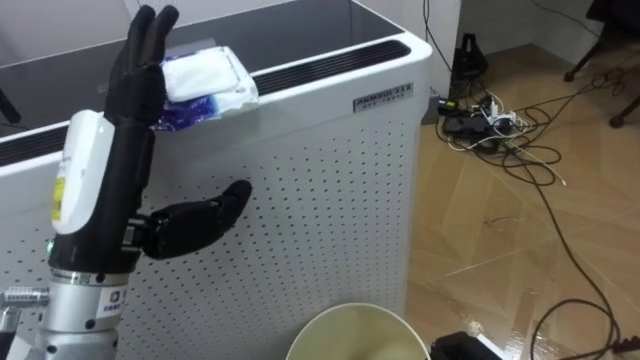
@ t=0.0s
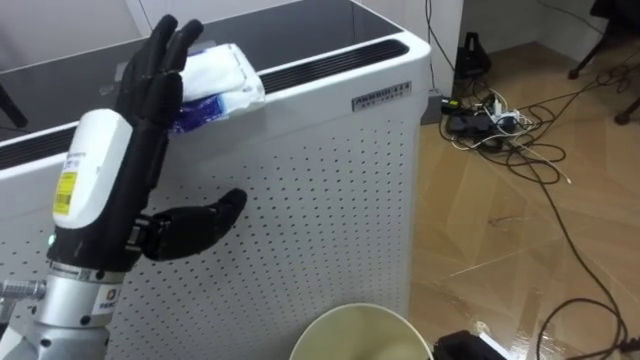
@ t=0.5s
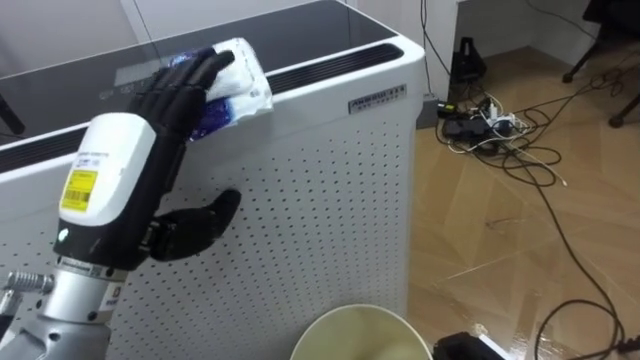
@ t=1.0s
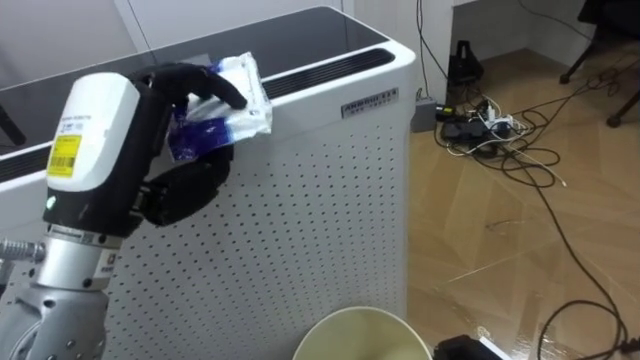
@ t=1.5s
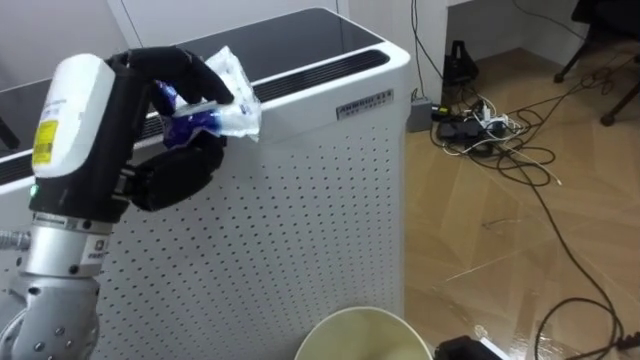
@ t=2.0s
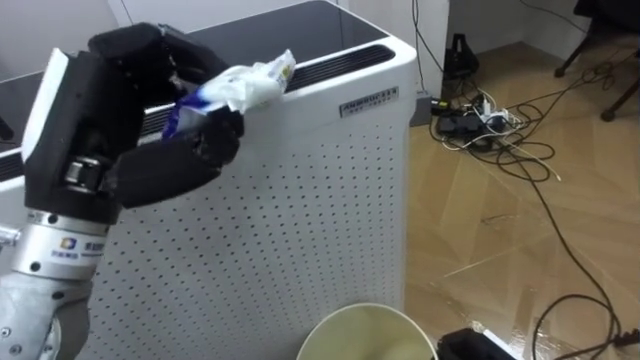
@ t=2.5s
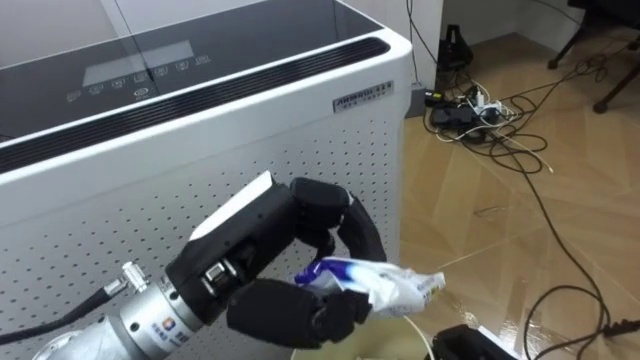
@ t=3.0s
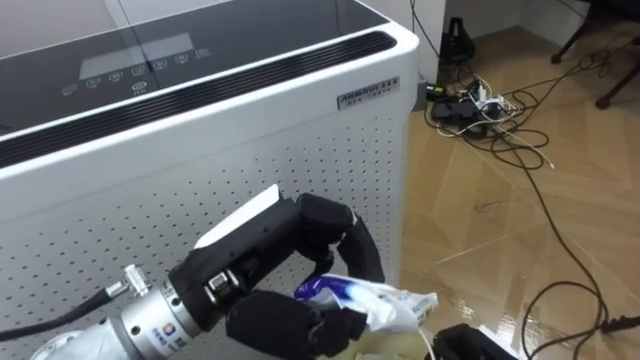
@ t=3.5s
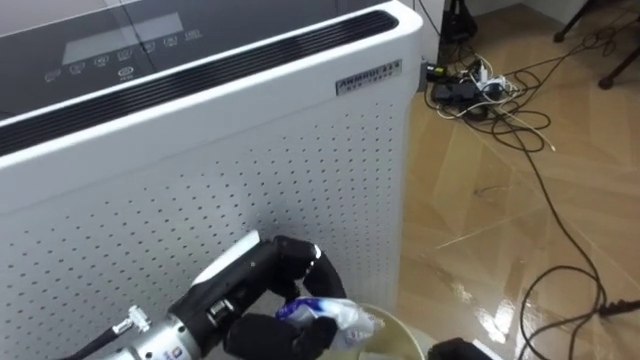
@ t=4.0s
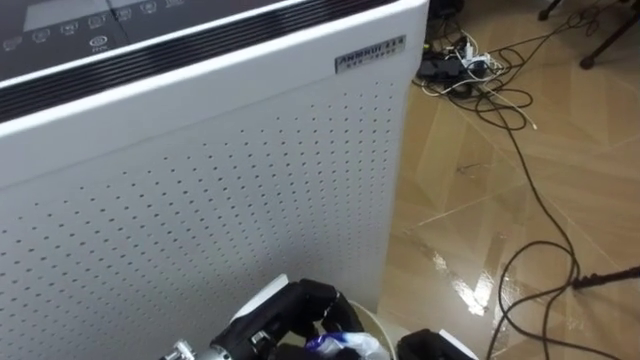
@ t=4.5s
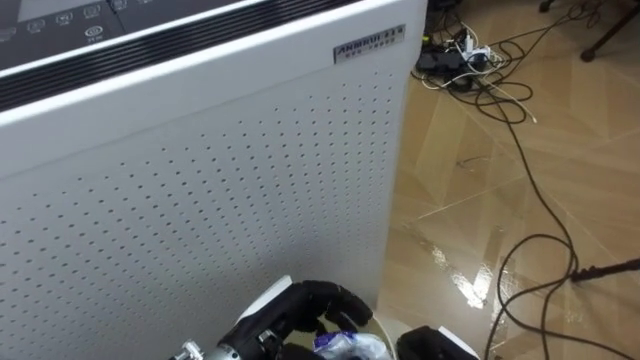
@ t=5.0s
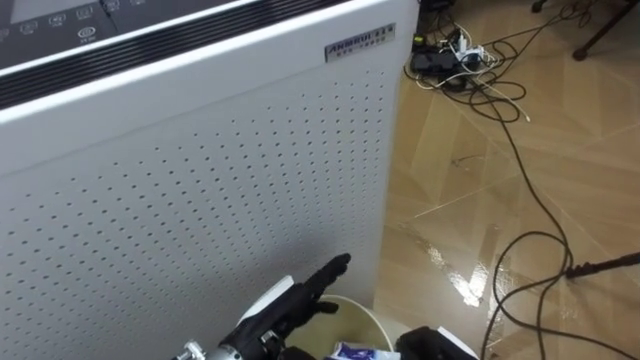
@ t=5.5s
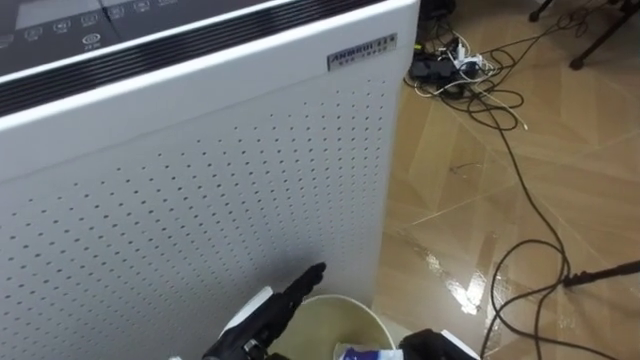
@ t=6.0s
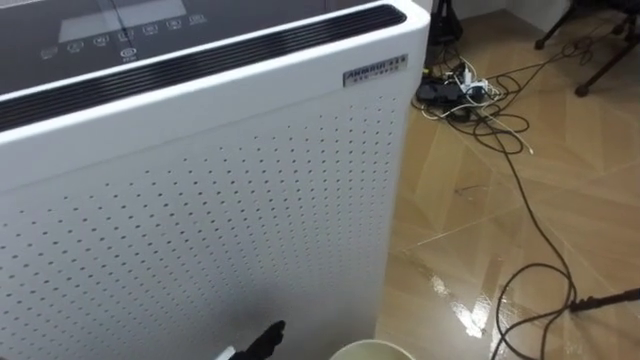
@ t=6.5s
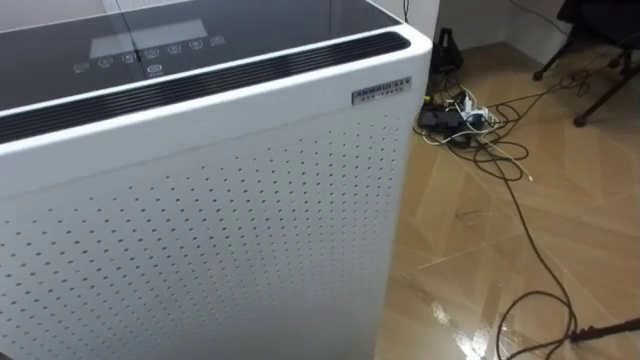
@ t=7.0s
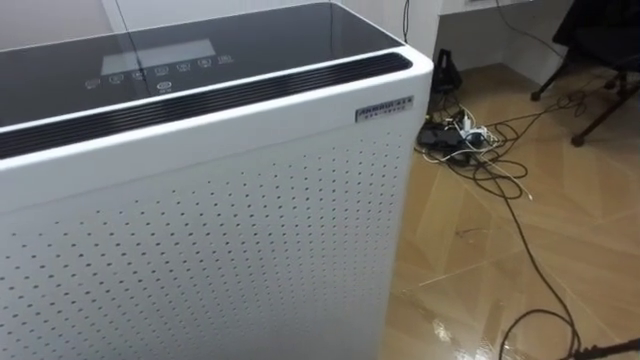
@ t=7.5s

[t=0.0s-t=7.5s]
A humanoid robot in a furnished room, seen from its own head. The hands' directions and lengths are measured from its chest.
Task of the whole recording: Pick up the light blue package, the candy box, and the dark blue package separately, and put them into the trash can held in your right hand.
t=0.0s to t=2.0s: The left hand closes its fingers.
t=2.0s to t=4.0s: The left hand is displaced downward and to the right by roughly 15 cm.
t=4.0s to t=5.5s: The left hand travels downward by about 10 cm, and opens up.

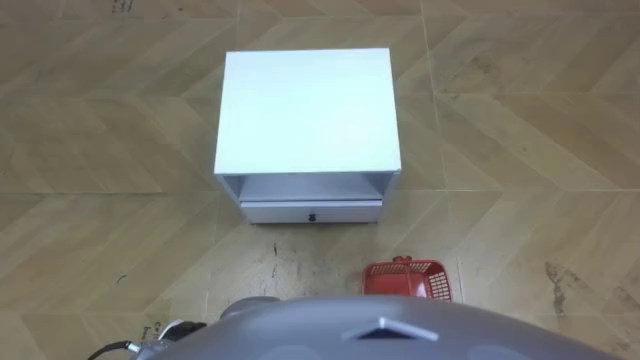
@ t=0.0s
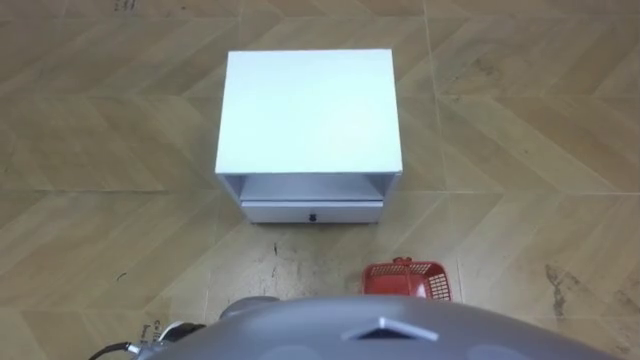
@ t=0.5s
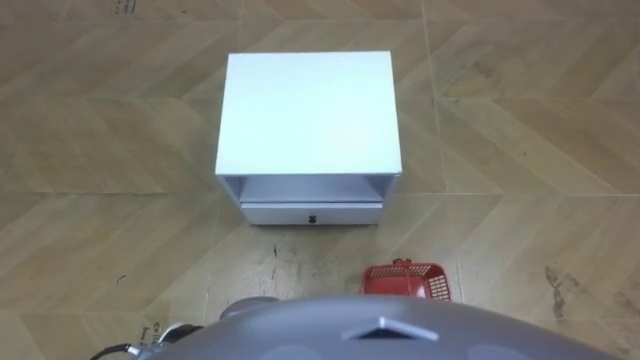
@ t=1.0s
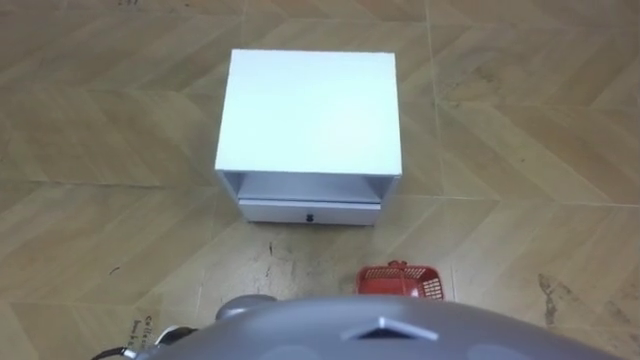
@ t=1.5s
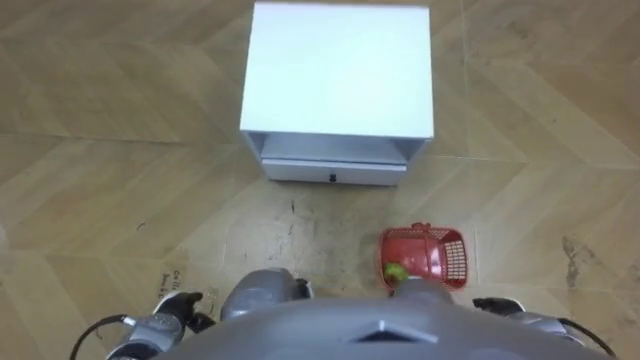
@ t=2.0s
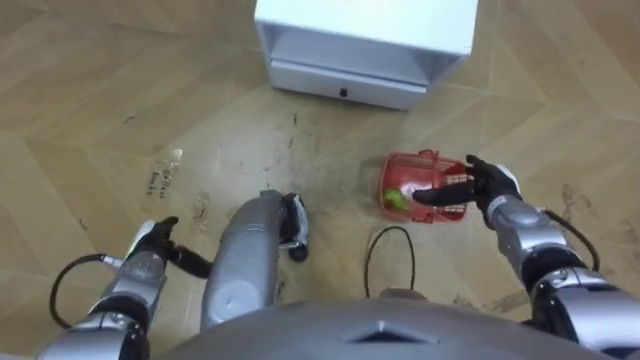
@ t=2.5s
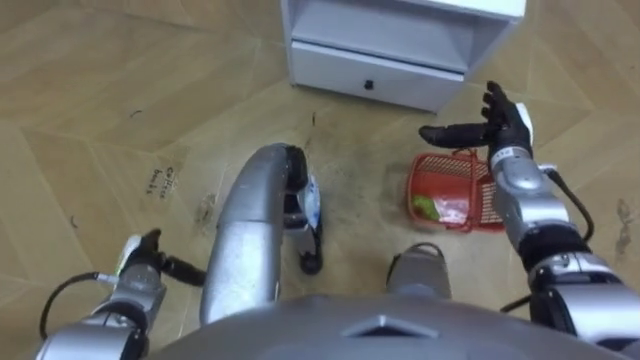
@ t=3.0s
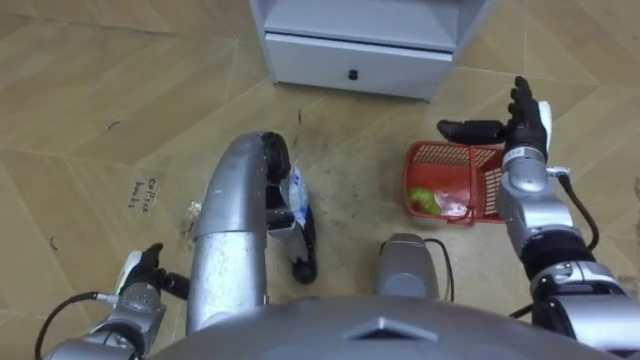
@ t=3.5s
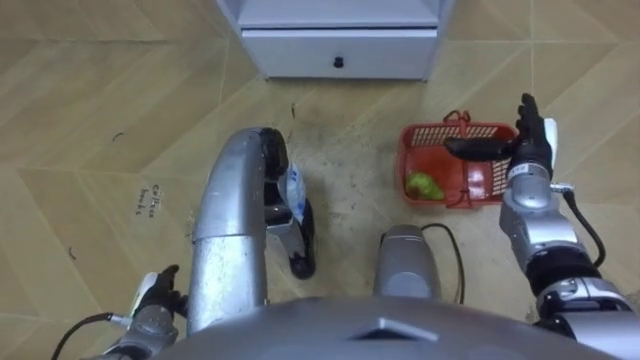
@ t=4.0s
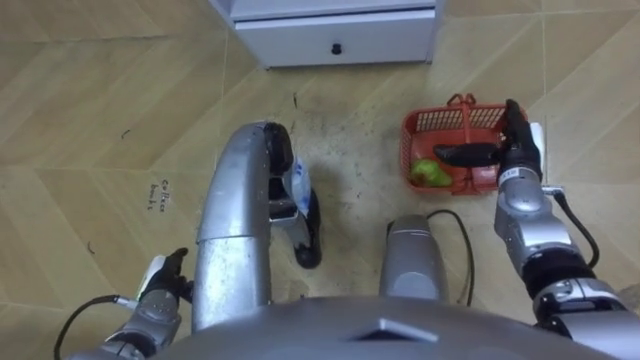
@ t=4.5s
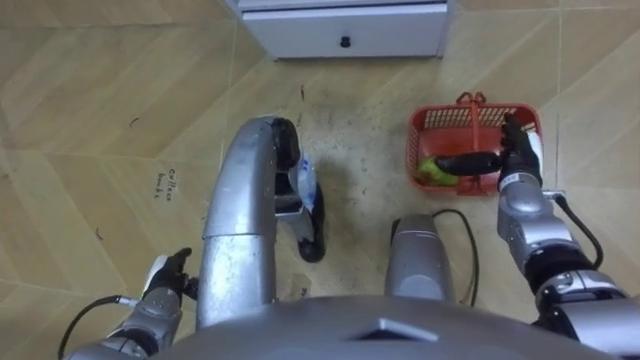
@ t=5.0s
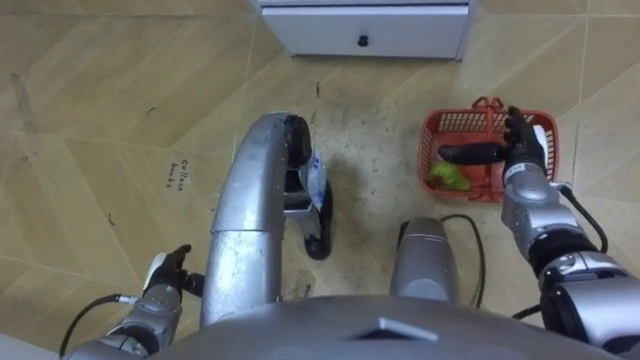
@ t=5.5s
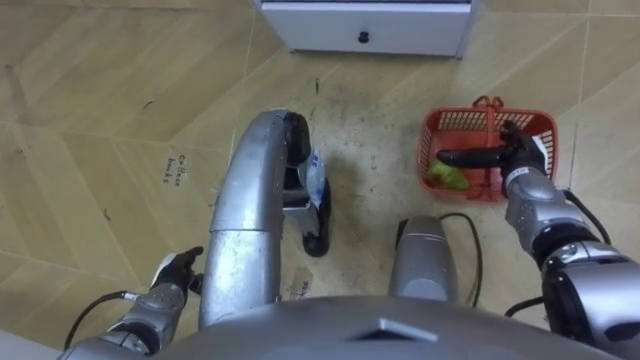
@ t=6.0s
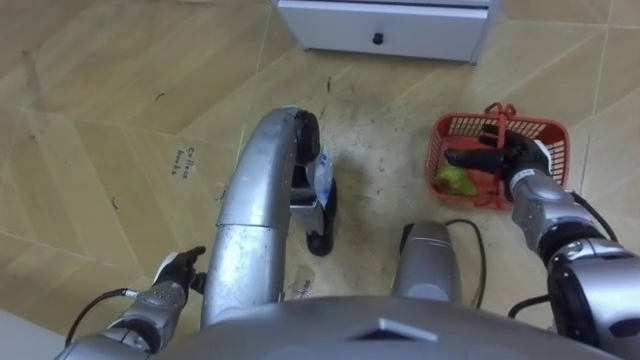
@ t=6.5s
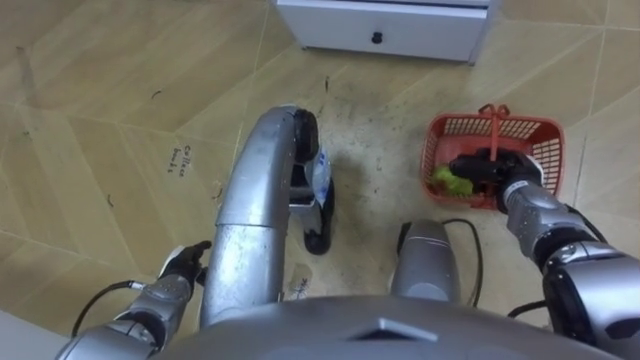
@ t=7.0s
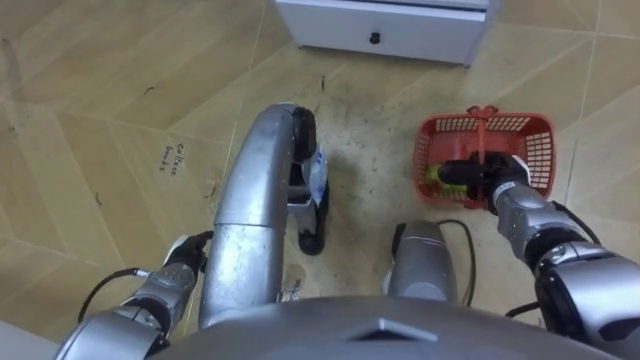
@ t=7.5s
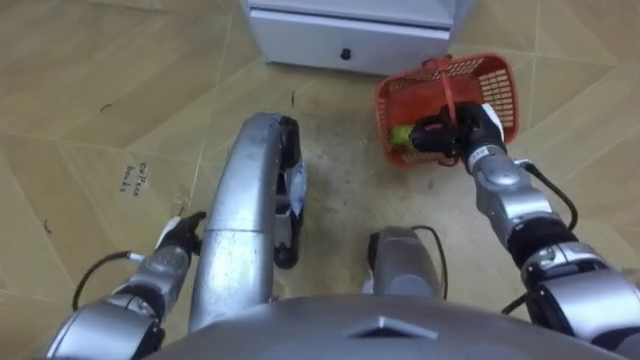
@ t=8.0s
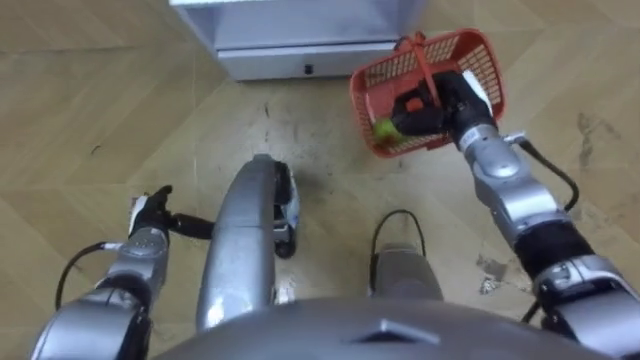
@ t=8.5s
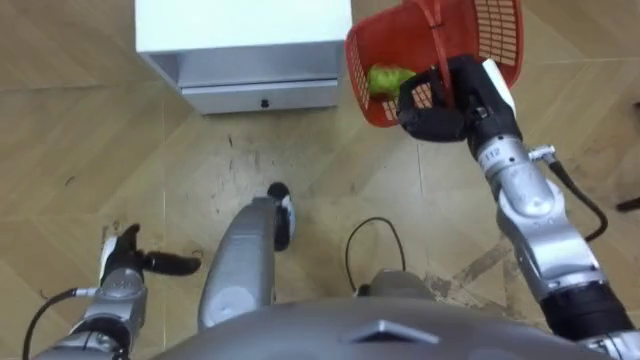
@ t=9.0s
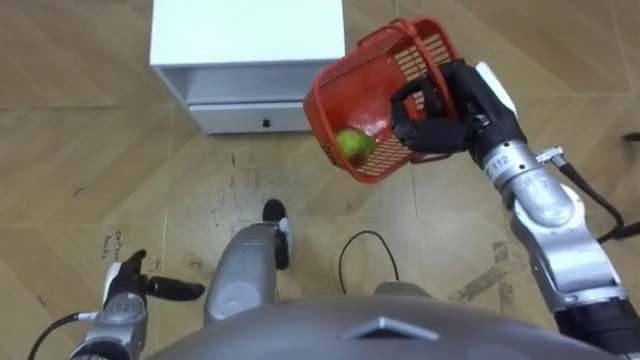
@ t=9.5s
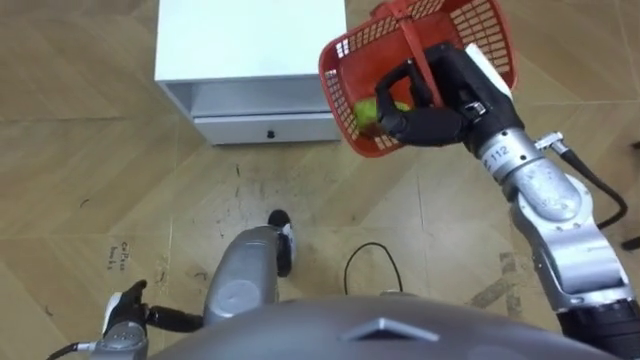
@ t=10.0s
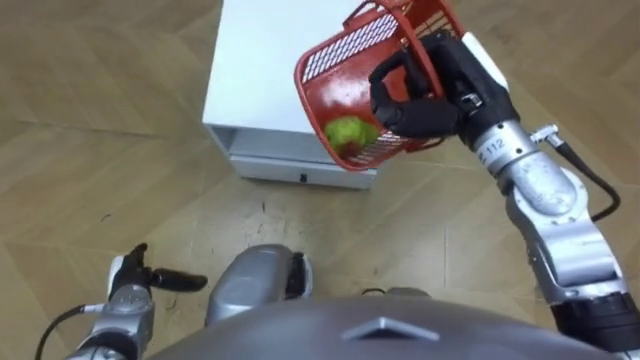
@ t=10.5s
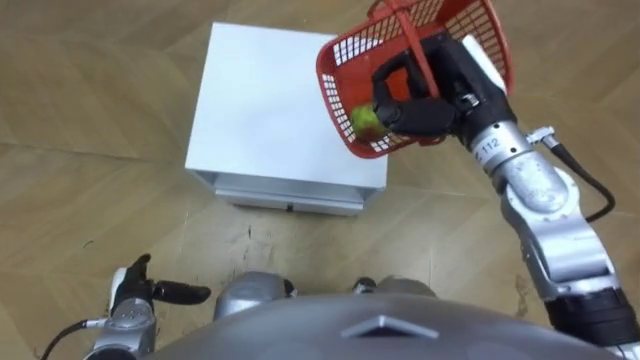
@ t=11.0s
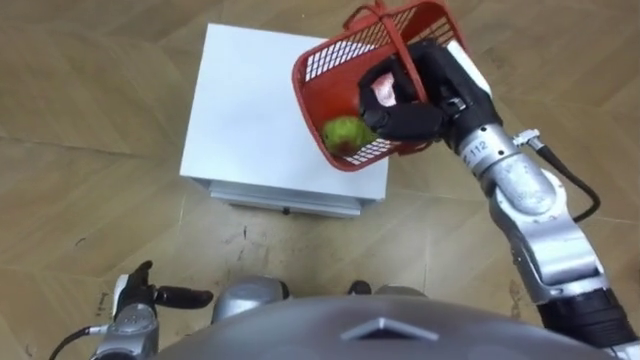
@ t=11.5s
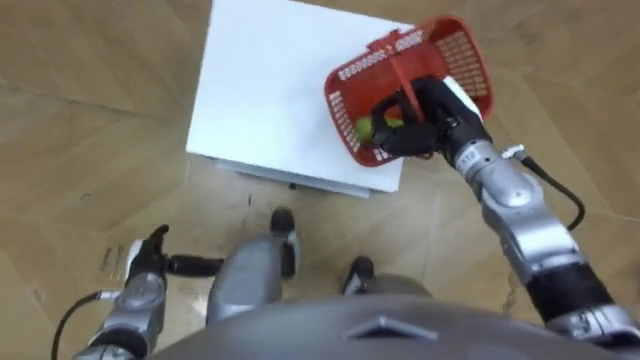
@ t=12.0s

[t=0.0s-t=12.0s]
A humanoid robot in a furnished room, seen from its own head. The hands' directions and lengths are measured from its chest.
Task of the whole recording: Pick up the fruit basket from the floor and place it on the cabinet.
t=2.0s to t=4.0s: The right hand heads forward and upward, covering about 25 cm, while the left hand goes forward and returns, some 10 cm each way.
t=6.0s to t=8.0s: The left hand moves forward, about 5 cm; the right hand heads to the left, covering about 5 cm, and closes up.
t=8.0s to t=10.0s: The robot turns to its right by approximately 15 degrees. The right hand is displaced upward by roughly 15 cm. Meanwhile the left hand moves backward and to the left, about 15 cm.
t=10.0s to t=12.0s: The left hand travels forward by some 5 cm. The right hand heads downward, covering approximately 5 cm.
